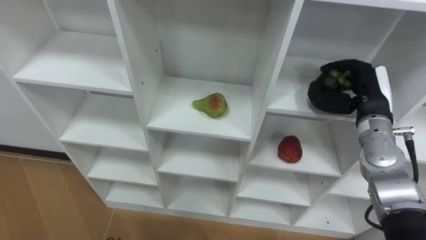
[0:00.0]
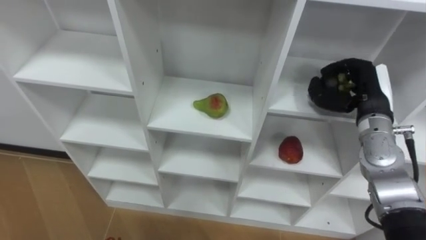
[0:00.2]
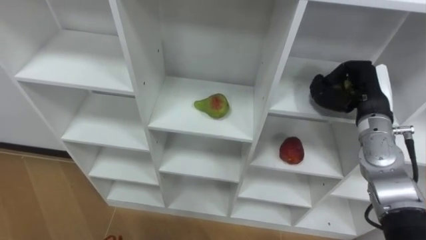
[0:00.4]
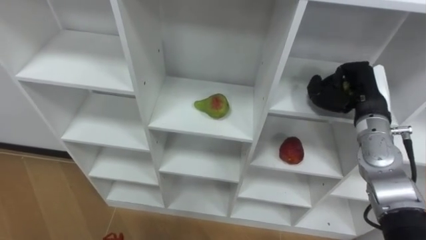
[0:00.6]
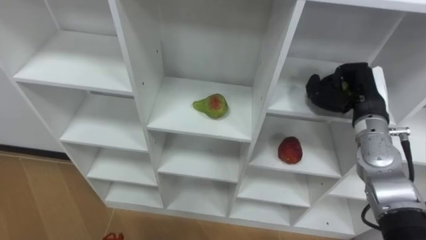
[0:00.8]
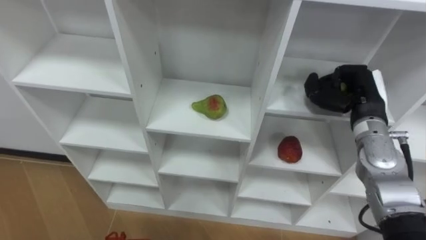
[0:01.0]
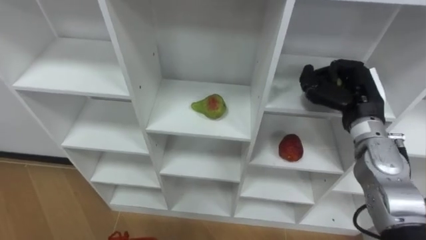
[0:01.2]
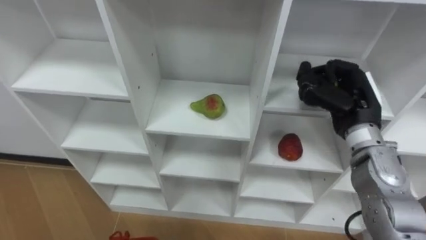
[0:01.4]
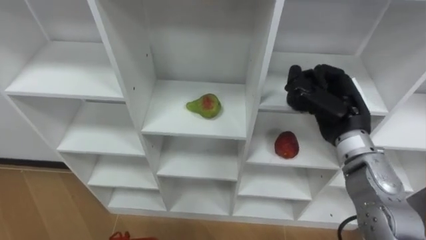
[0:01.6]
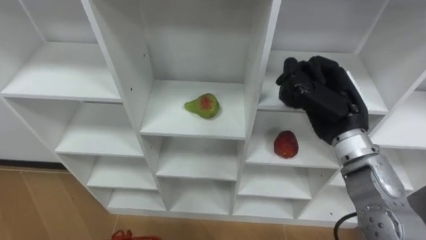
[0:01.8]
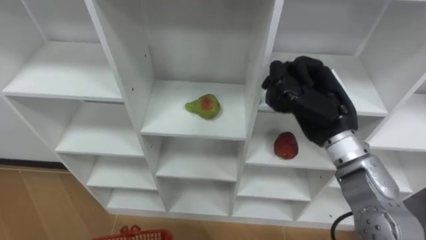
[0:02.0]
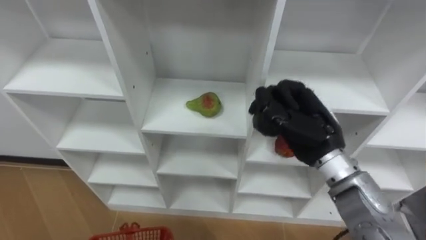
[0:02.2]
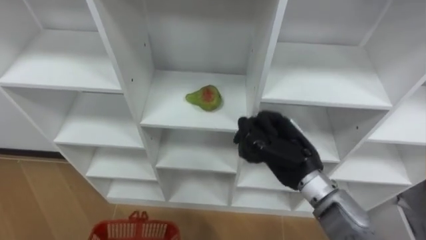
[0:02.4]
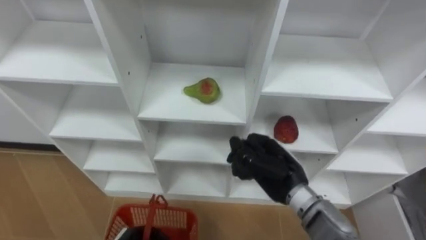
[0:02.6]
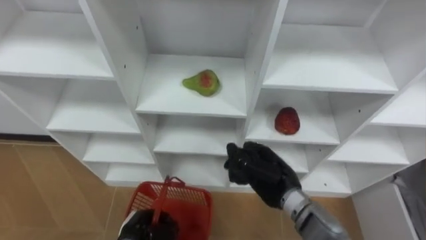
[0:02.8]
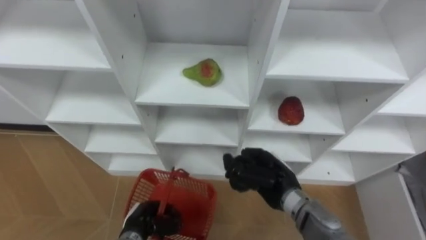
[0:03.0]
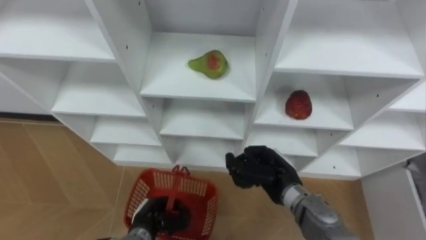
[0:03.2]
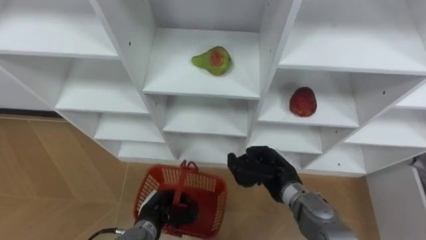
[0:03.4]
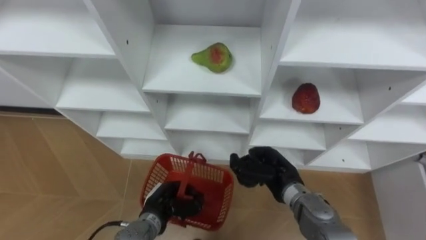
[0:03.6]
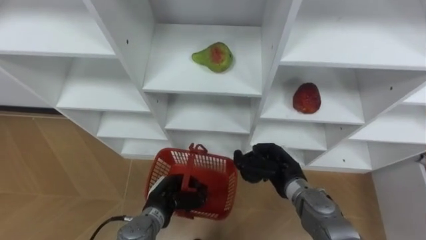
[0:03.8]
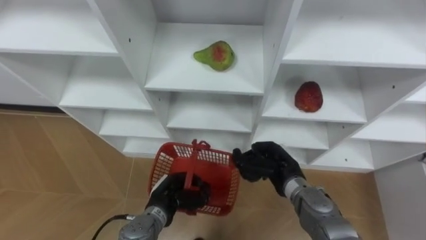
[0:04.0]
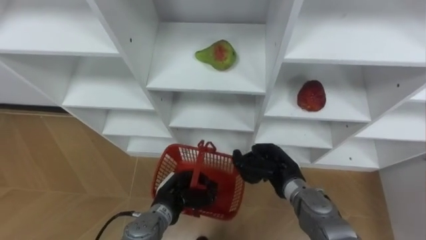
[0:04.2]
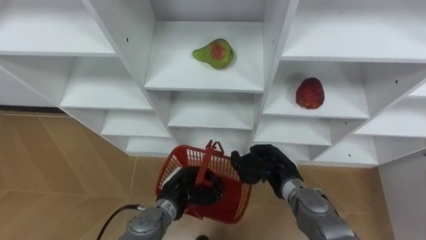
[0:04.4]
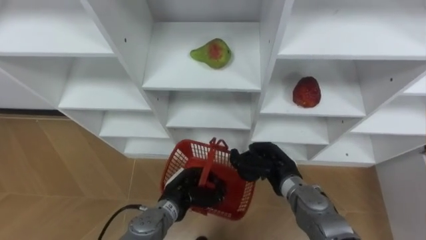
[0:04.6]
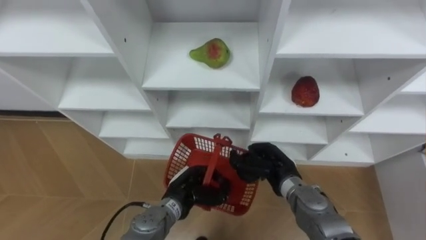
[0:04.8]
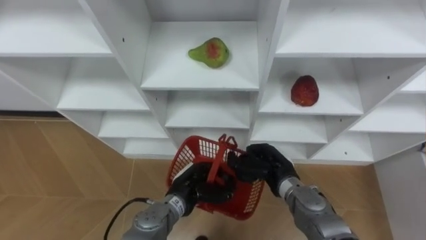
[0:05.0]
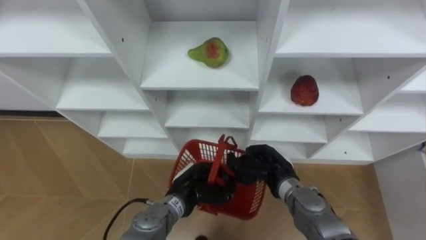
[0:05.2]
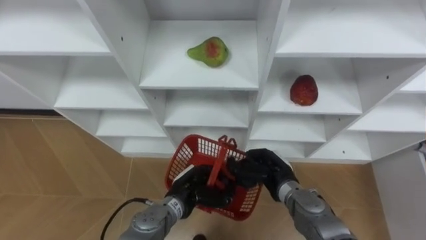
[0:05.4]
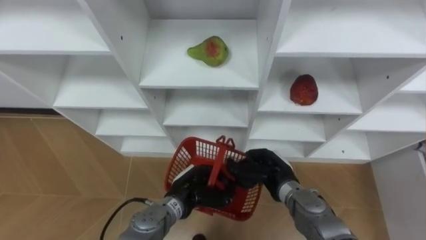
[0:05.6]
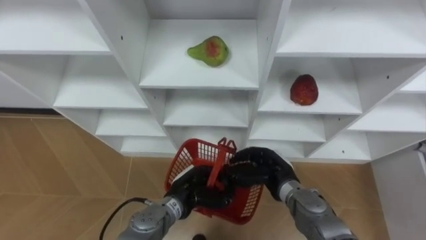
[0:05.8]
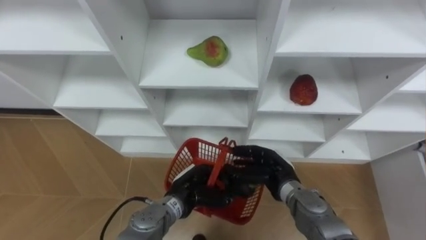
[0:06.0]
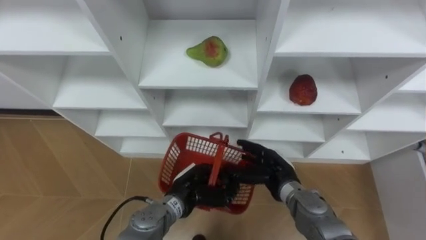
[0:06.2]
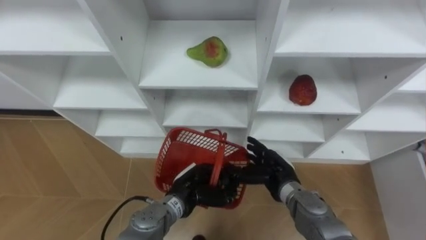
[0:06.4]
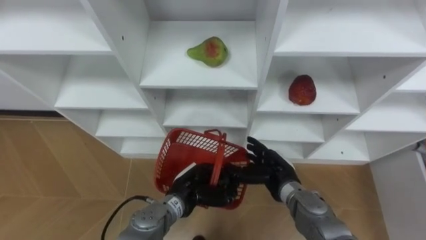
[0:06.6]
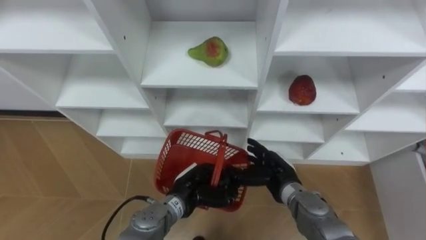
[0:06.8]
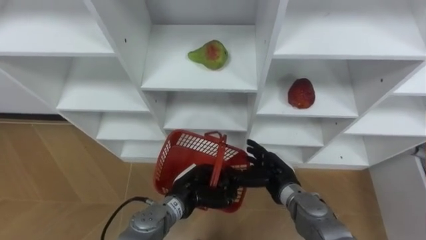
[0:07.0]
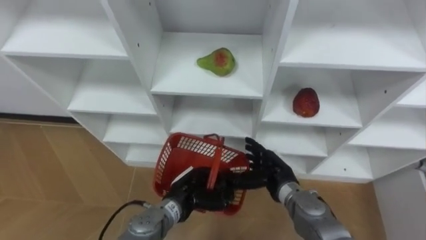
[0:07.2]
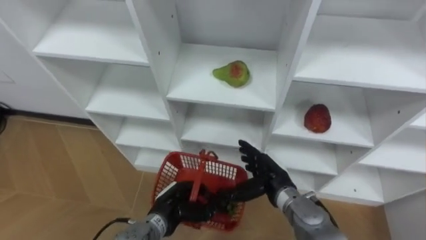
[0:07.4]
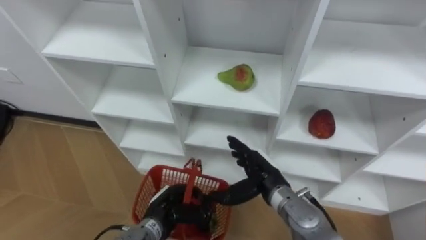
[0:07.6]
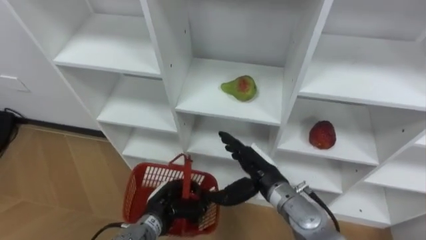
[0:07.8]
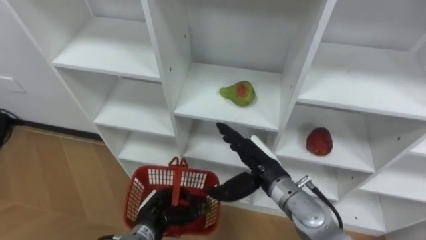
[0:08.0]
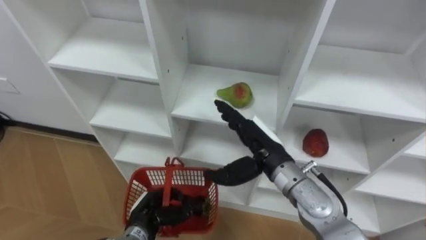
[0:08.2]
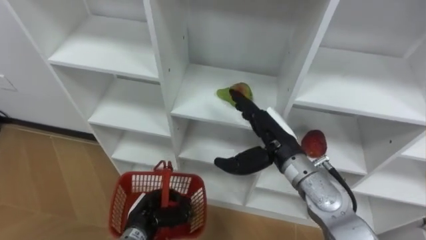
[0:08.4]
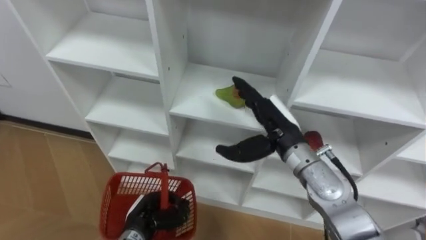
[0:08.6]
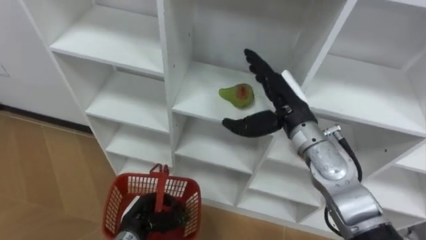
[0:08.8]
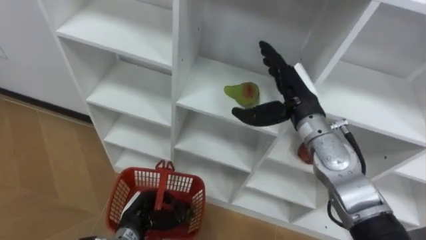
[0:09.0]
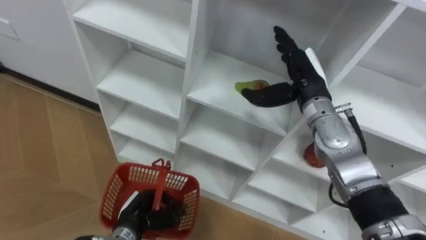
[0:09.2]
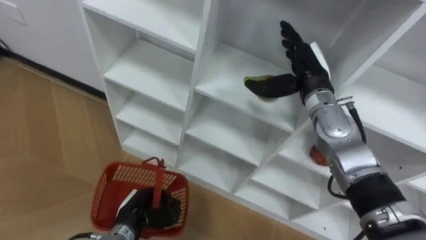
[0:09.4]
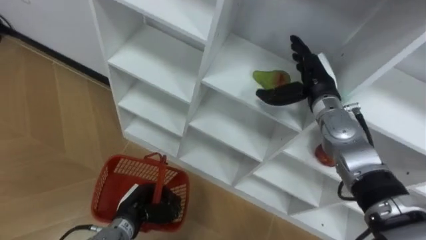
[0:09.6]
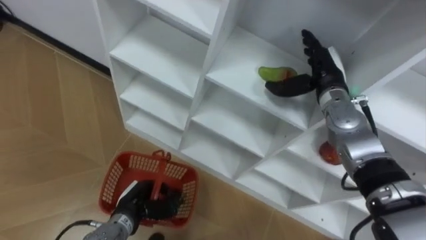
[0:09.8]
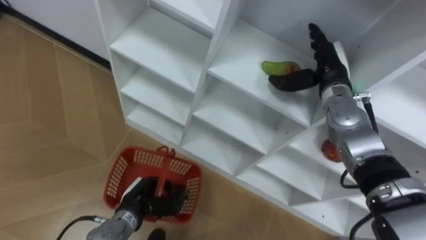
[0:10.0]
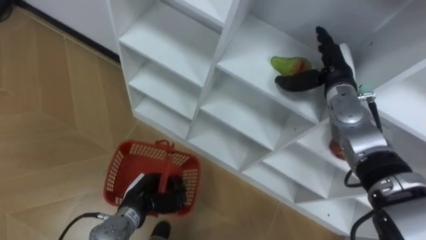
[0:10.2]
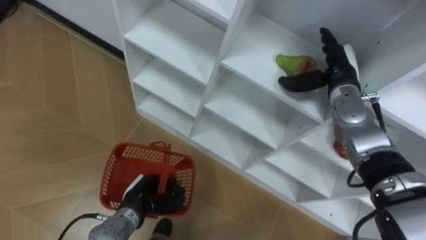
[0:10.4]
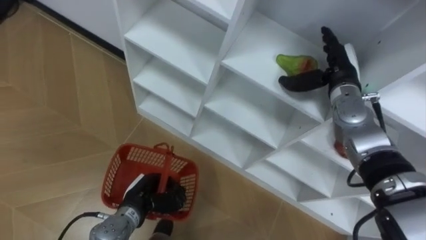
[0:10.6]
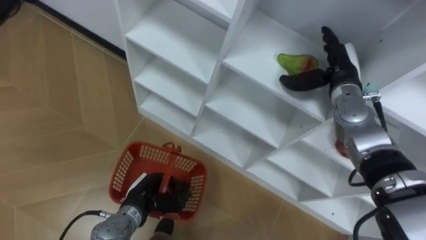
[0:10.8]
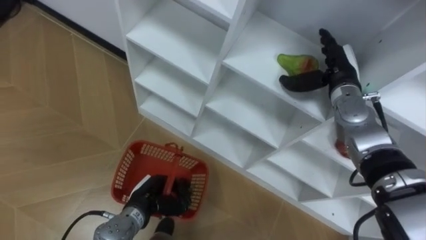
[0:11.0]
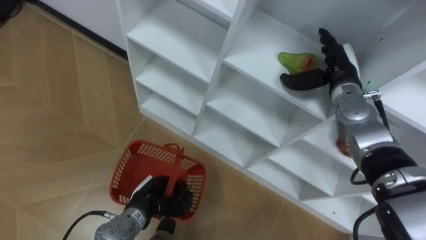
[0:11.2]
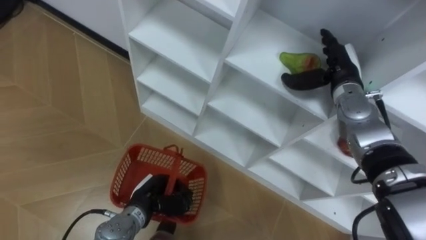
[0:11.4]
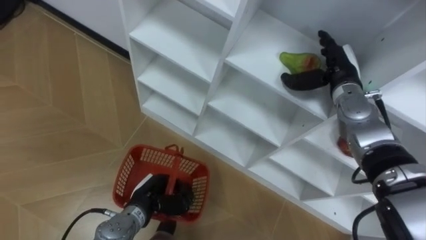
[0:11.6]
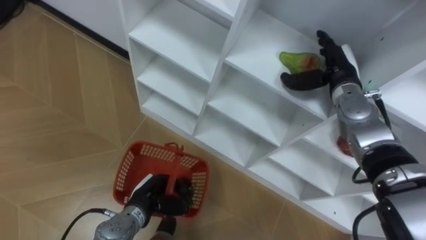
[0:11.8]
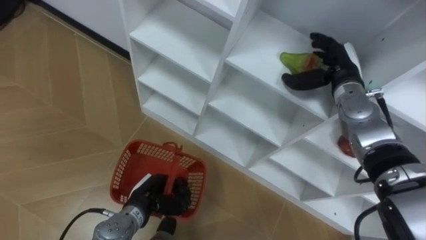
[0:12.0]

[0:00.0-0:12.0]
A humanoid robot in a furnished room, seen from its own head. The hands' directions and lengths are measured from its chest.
Task of the whole recording: Hold the basket and collect the fruits from 3 different cells of the closet into it.
0:00.0 to 0:01.6: The right hand is displaced to the left by roughly 5 cm.
0:01.6 to 0:03.0: The right hand travels downward, to the left and backward by approximately 20 cm.
0:03.0 to 0:04.4: The left hand moves to the right, forward and upward, some 10 cm.
0:04.4 to 0:06.0: The right hand opens up.
0:06.0 to 0:07.6: The left hand heads to the left, covering some 5 cm.
0:07.6 to 0:09.0: The left hand travels to the left by roughly 5 cm; the right hand goes some 15 cm upward and forward.
0:09.0 to 0:10.4: The right hand shifts approximately 10 cm to the right and forward.

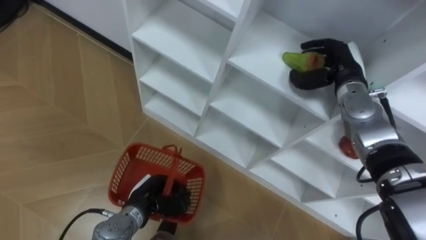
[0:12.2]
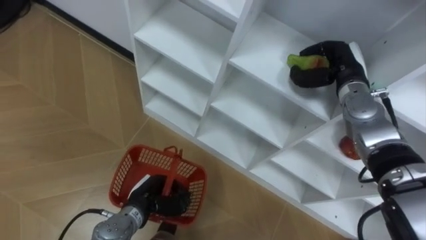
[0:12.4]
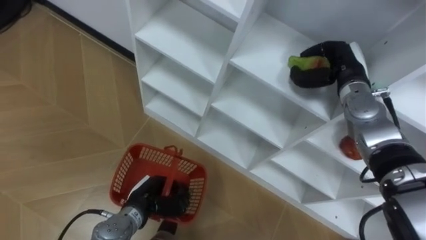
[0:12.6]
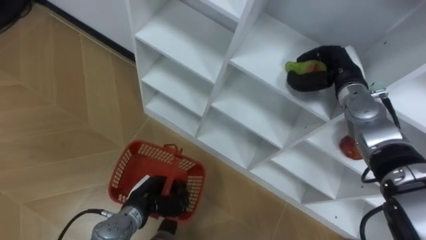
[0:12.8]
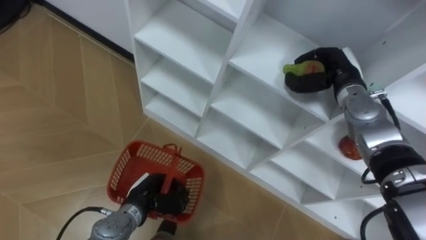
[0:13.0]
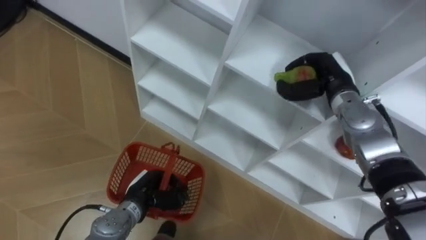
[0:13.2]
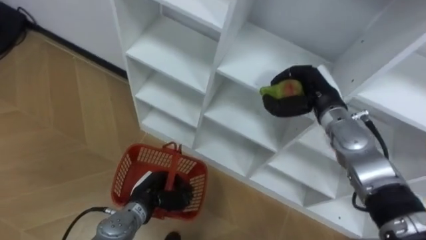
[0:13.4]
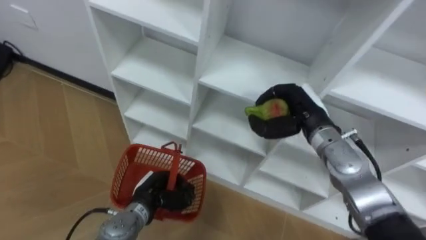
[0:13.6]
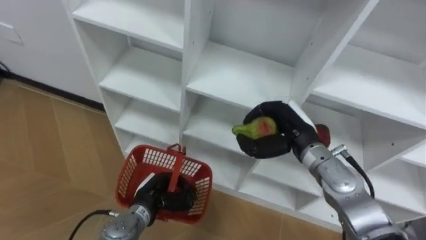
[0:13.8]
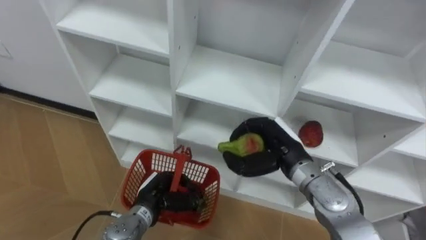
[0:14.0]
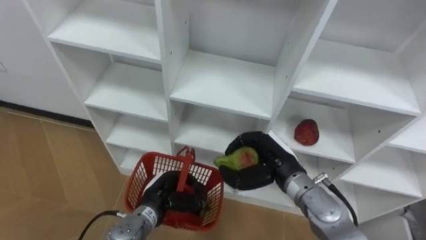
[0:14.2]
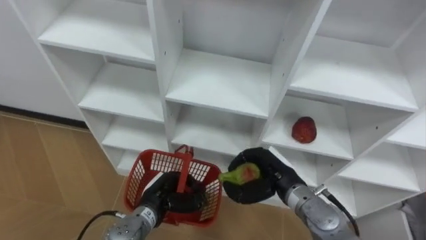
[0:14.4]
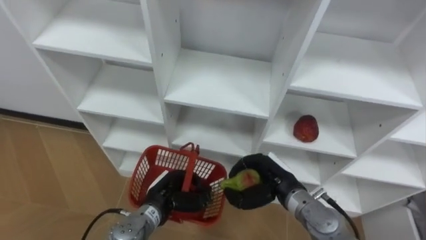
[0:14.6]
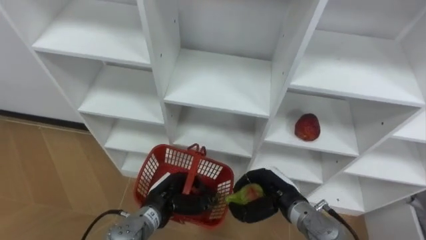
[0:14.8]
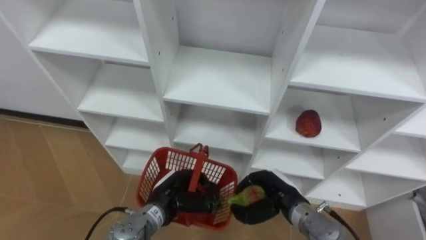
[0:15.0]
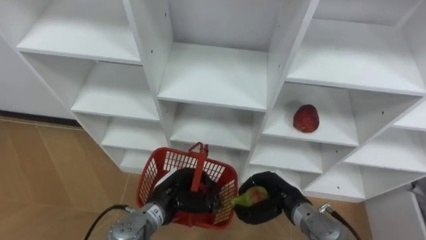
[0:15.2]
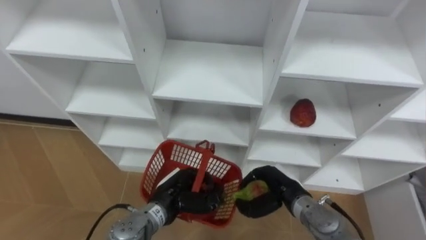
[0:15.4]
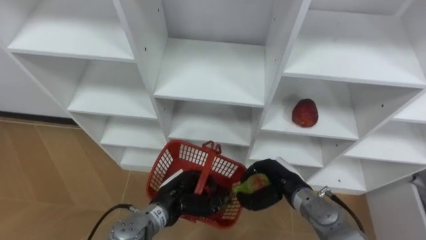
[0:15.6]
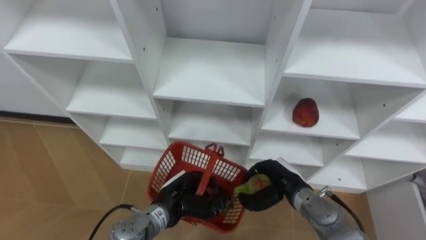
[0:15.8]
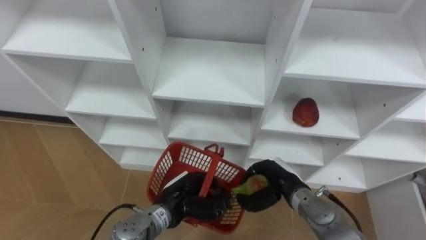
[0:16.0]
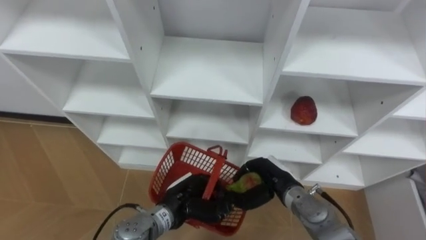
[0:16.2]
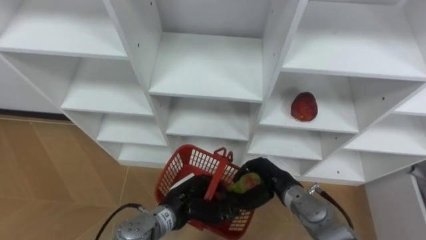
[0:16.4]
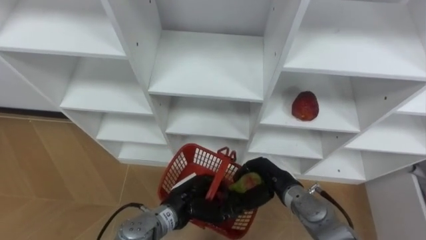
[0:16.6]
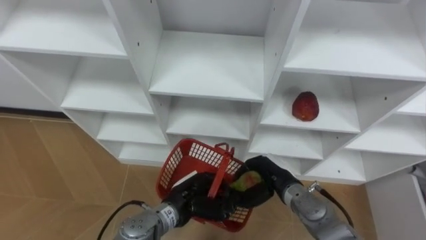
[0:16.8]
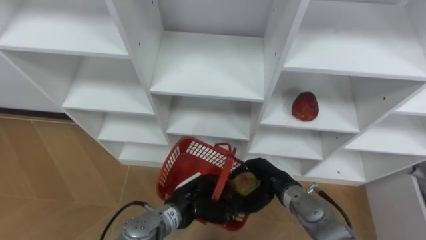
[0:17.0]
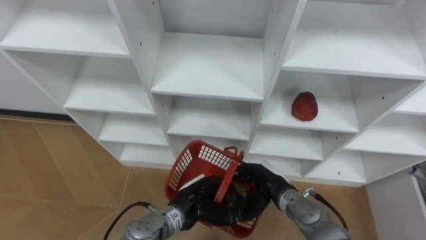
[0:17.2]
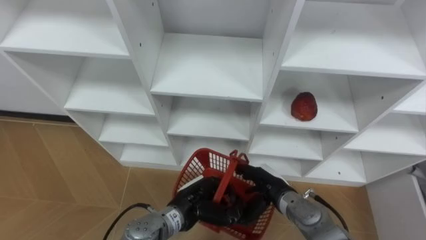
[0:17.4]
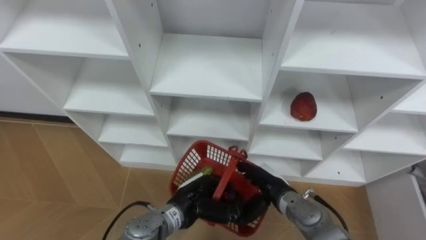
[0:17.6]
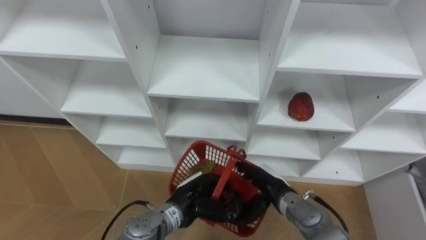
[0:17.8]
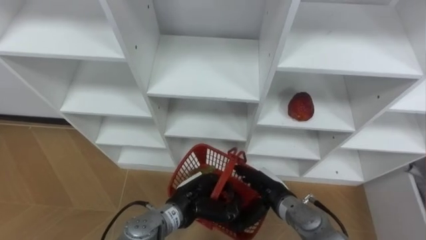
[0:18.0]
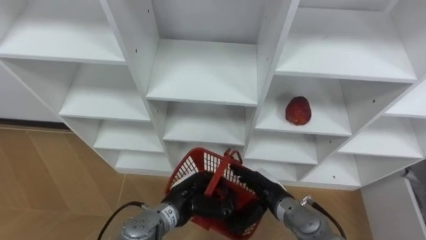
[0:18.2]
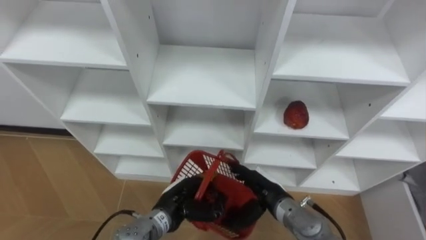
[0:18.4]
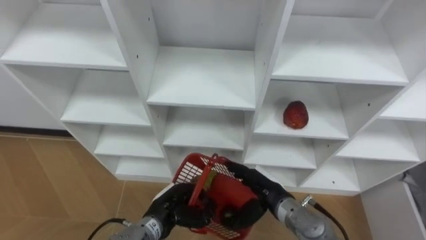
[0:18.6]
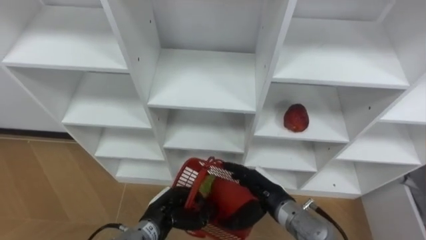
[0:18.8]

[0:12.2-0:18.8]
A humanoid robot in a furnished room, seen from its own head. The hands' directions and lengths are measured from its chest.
Task of the whole recording: Hold the basket and collect the fruits from 3 different cells of the closet into it.
0:12.2 to 0:13.8: The right hand goes about 15 cm backward, to the left and downward, and closes.
0:13.8 to 0:15.4: The left hand ends up about 5 cm from where it was. The right hand travels downward and backward by about 15 cm.
0:15.4 to 0:17.2: The left hand moves approximately 5 cm. The right hand opens.
0:17.2 to 0:18.8: The left hand heads to the left, covering some 5 cm.
